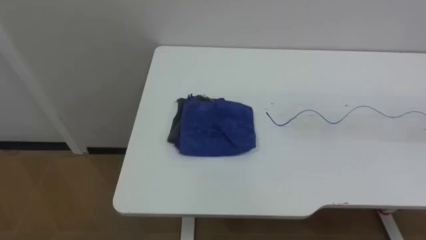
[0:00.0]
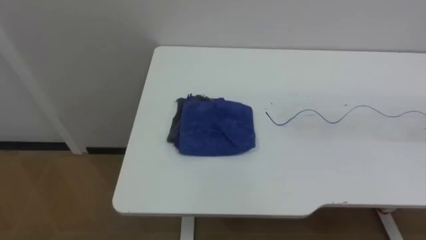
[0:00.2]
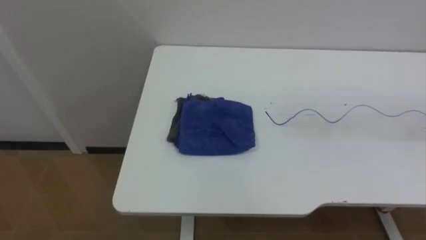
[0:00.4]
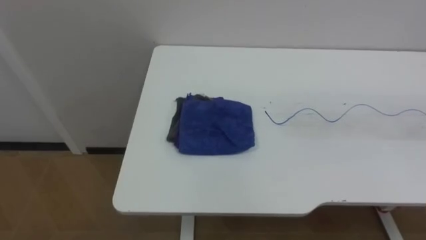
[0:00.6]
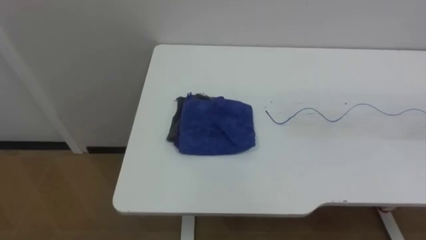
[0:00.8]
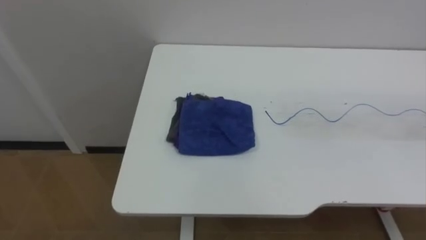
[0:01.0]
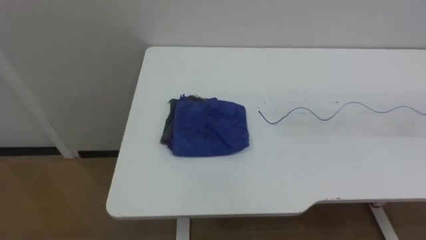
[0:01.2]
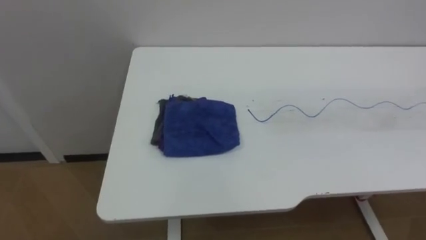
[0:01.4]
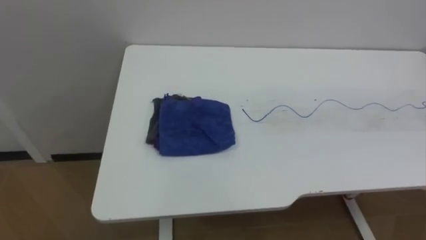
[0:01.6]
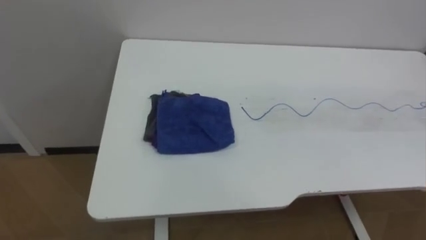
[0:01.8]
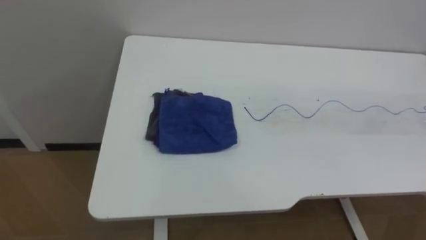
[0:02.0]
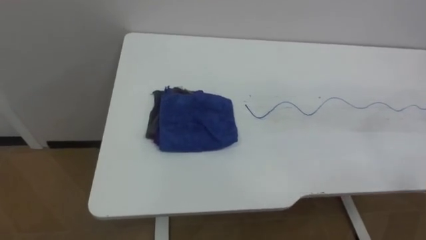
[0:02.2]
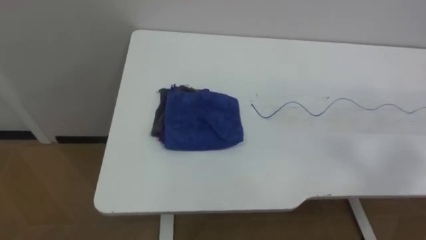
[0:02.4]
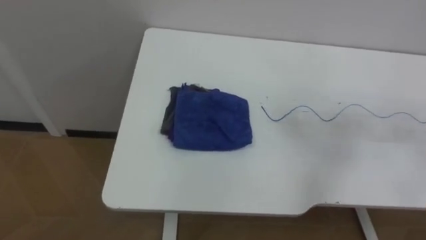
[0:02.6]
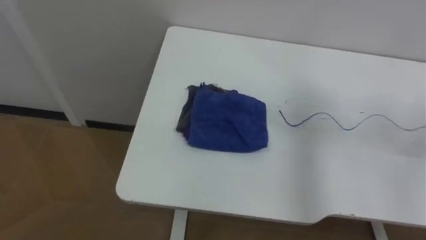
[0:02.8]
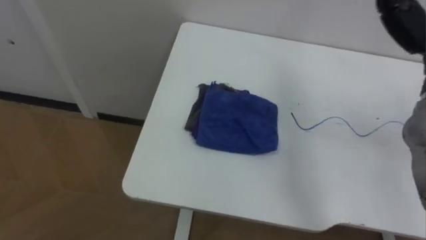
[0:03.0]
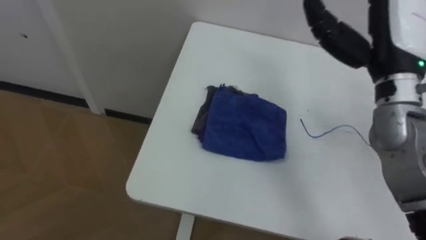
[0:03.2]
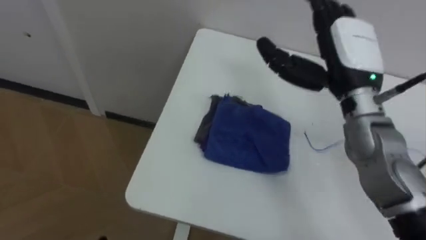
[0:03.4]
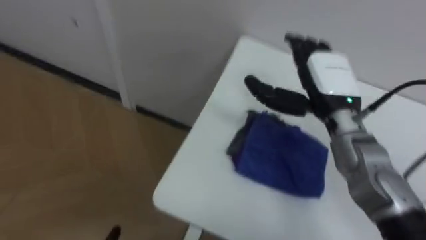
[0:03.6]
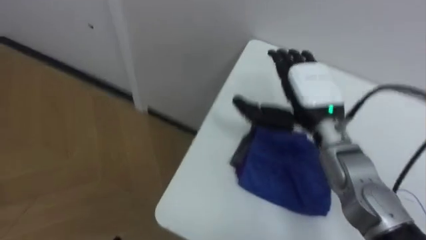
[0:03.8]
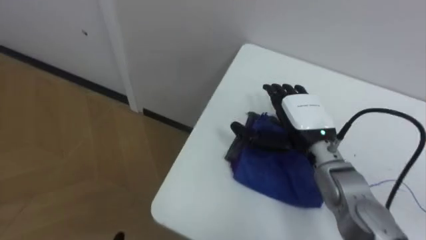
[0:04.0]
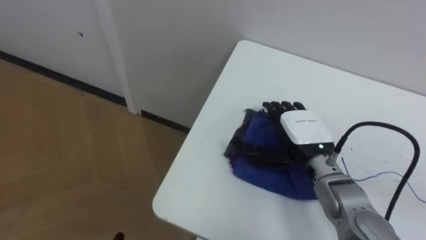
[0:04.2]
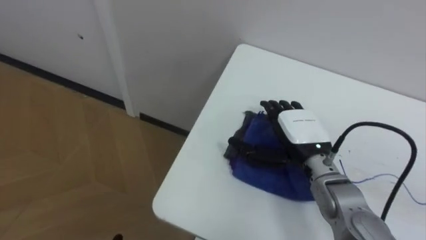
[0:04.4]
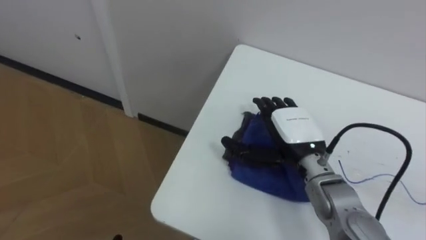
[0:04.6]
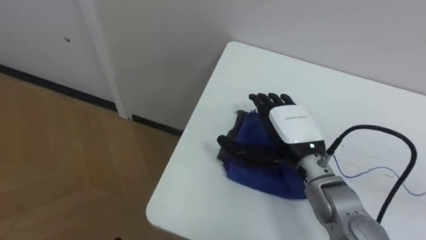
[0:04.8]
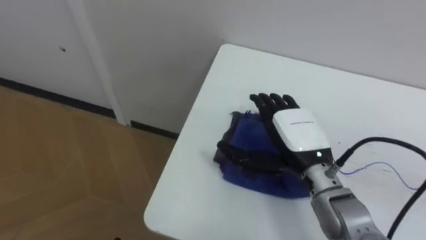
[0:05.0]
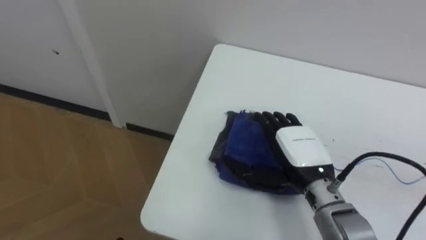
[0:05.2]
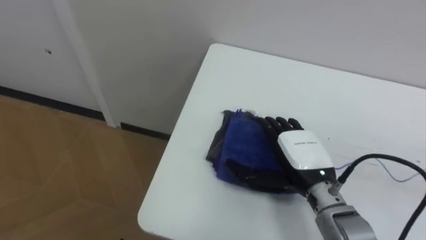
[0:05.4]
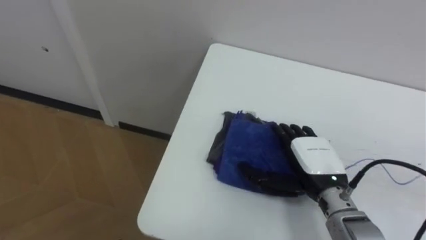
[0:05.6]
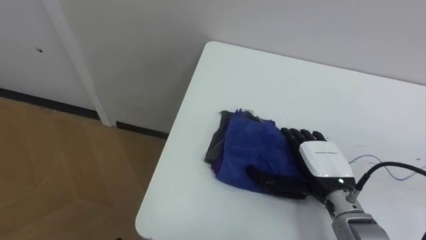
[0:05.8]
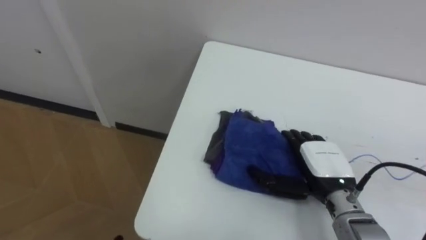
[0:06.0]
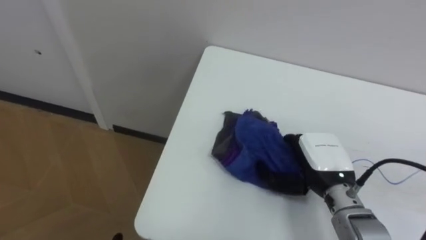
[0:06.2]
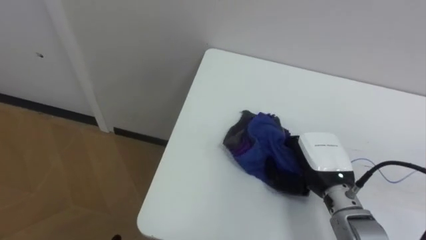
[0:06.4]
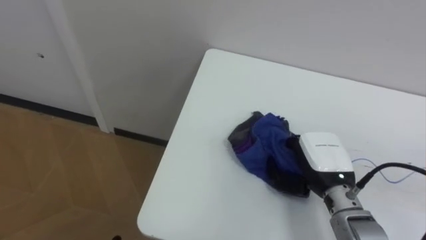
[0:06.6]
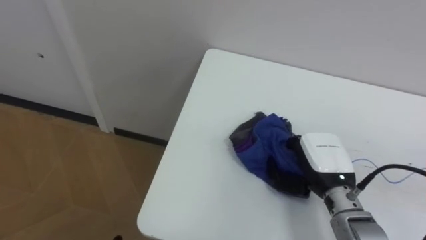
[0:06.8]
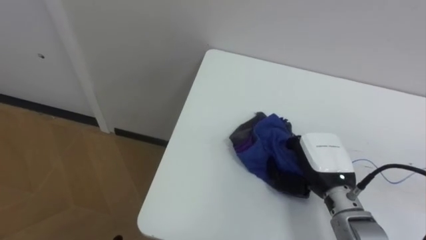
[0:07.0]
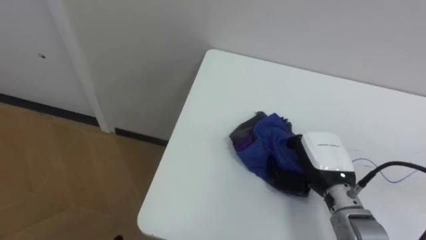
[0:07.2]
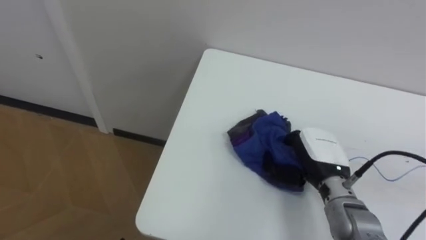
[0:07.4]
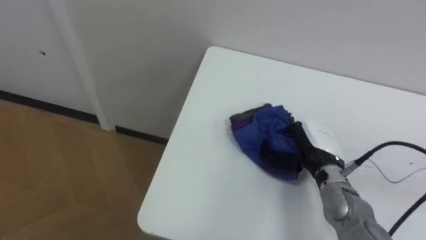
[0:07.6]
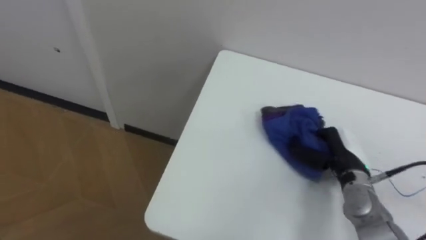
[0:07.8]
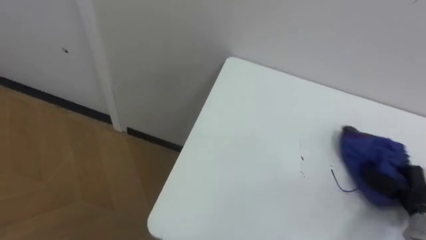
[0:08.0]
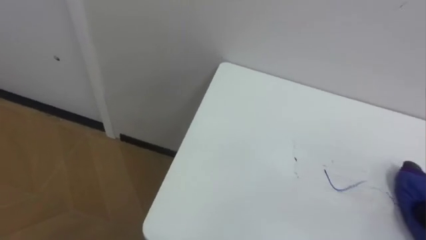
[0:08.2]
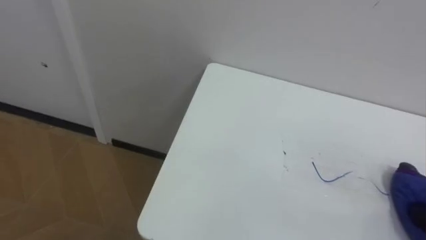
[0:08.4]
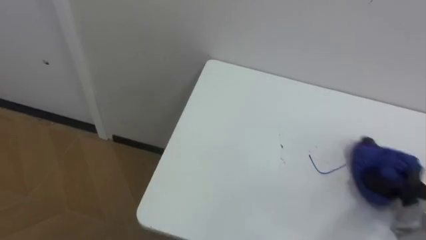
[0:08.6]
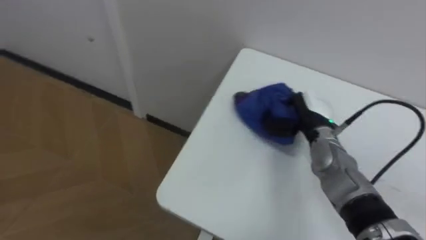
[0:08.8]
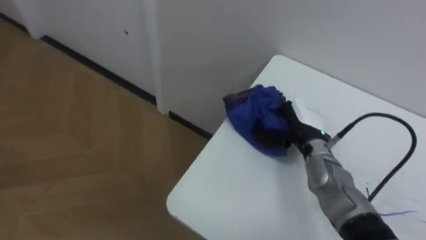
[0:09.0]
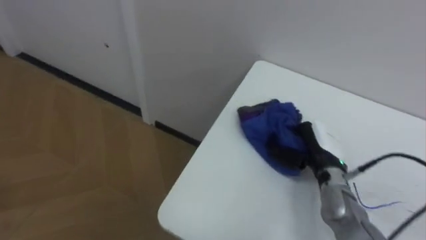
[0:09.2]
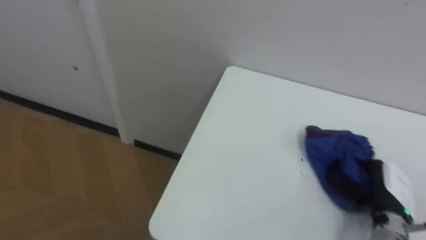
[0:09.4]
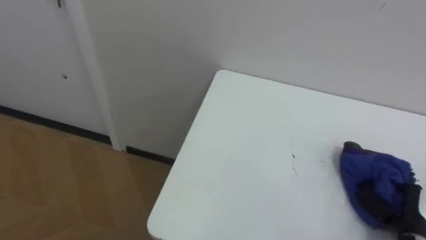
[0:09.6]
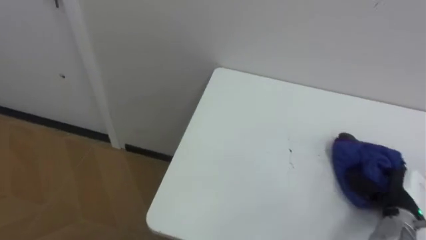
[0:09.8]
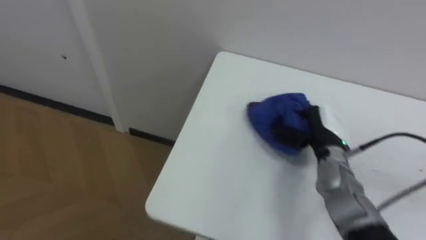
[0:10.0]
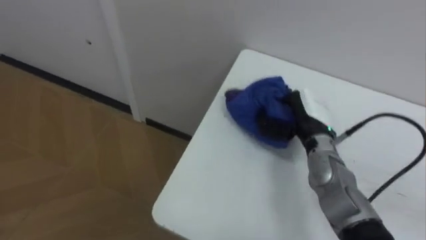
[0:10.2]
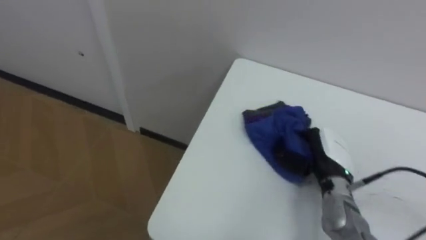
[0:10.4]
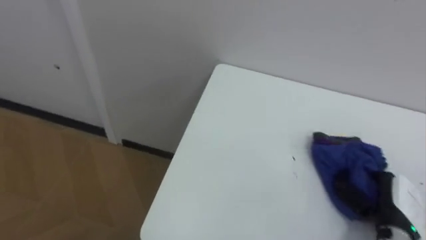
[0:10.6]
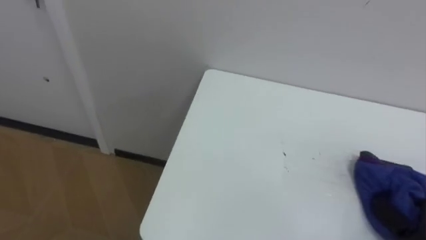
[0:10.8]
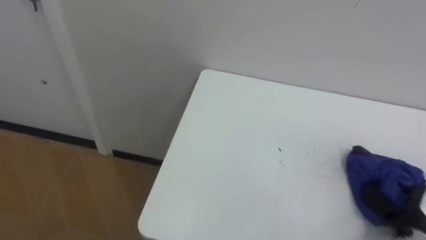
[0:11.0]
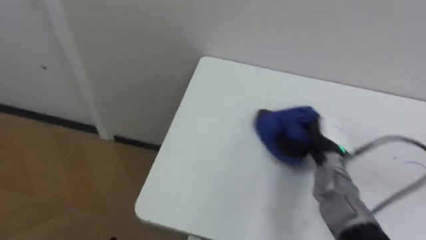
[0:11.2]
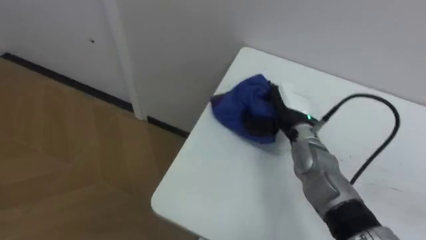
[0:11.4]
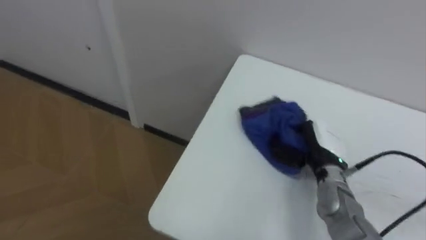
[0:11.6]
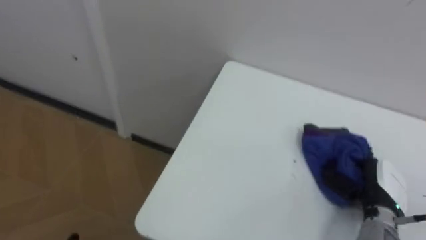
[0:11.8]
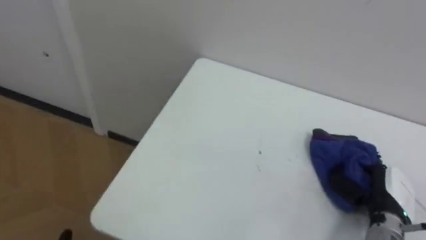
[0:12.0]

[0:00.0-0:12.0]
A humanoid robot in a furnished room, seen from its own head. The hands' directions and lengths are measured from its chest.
Task of the whole recording: Wipe the blue pen marks off the table with the rag.
0:04.4 to 0:06.0: The right hand moves backward, about 5 cm.
0:06.0 to 0:07.6: The right hand closes its fingers.
0:09.0 to 0:10.4: The right hand heads backward, covering about 5 cm, and moves about 20 cm to the right and comes back.
0:10.4 to 0:12.0: The right hand goes left and right, roughly 25 cm each way, reversing 2 times.

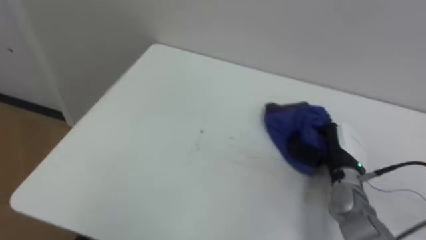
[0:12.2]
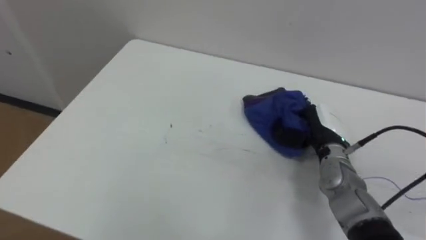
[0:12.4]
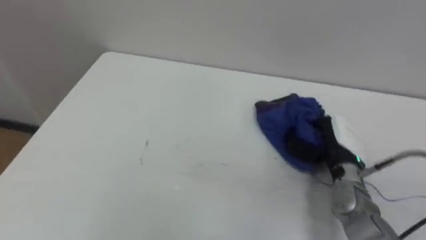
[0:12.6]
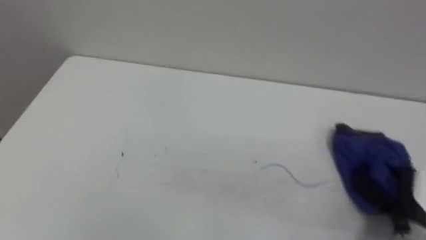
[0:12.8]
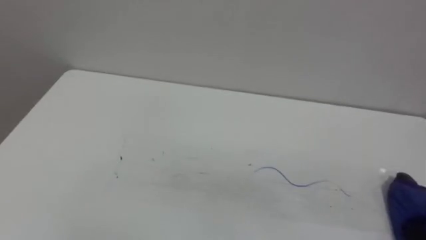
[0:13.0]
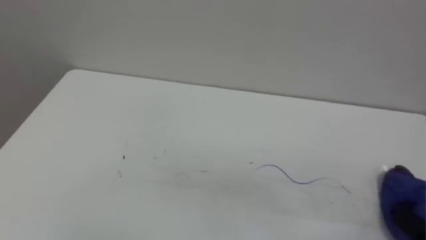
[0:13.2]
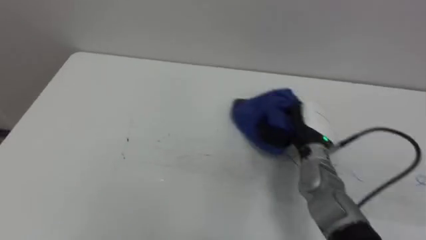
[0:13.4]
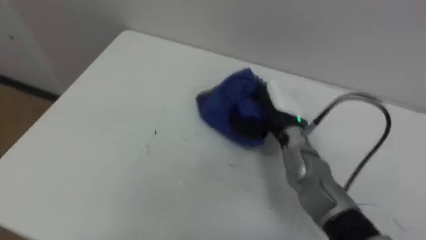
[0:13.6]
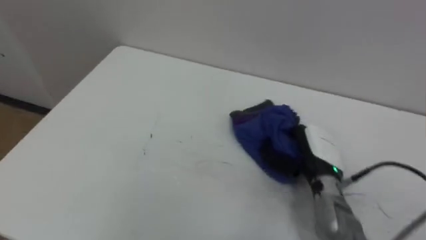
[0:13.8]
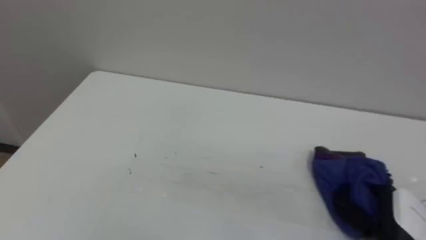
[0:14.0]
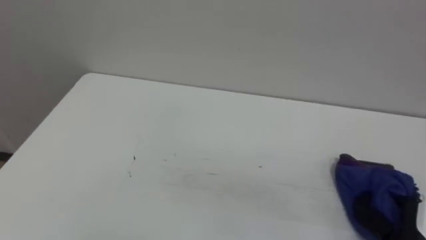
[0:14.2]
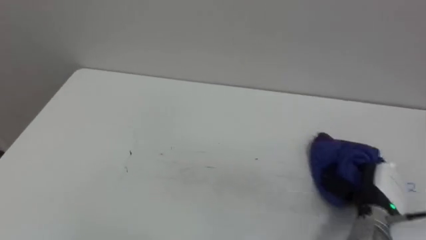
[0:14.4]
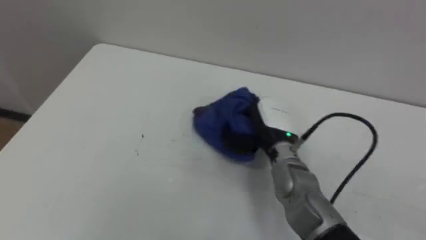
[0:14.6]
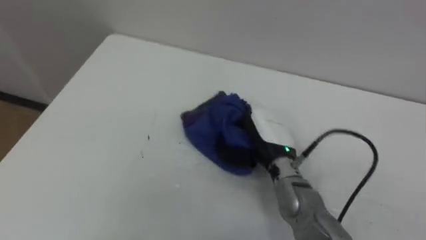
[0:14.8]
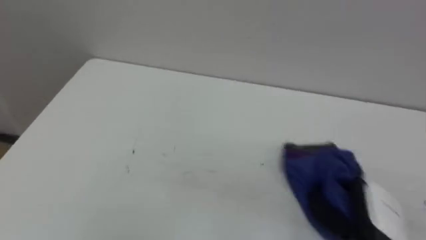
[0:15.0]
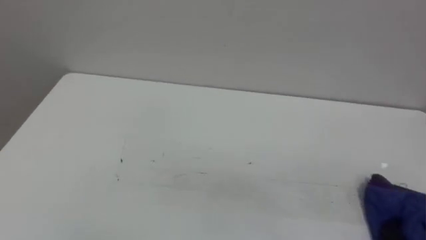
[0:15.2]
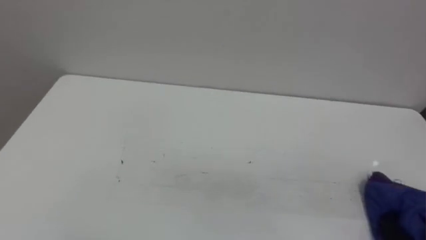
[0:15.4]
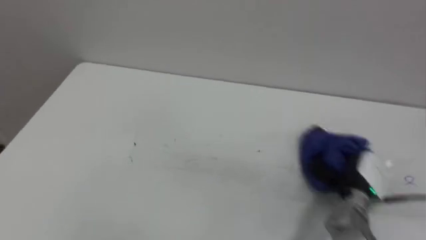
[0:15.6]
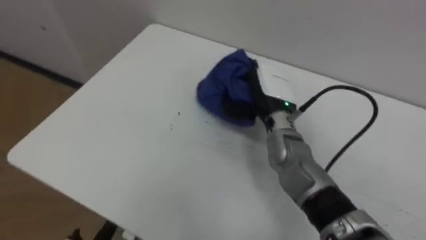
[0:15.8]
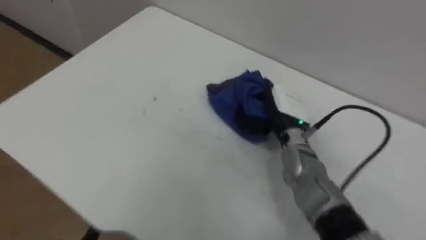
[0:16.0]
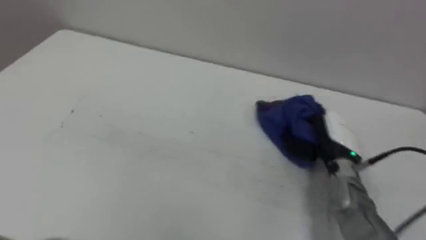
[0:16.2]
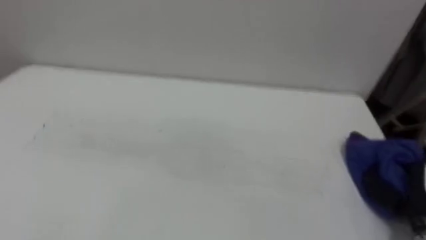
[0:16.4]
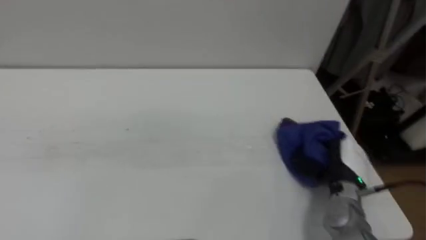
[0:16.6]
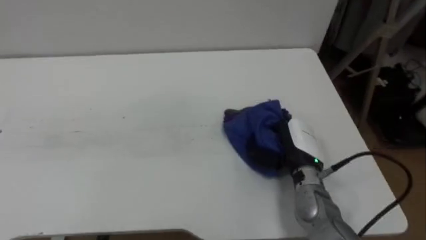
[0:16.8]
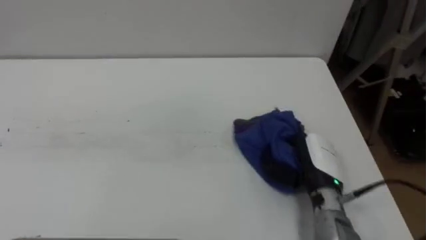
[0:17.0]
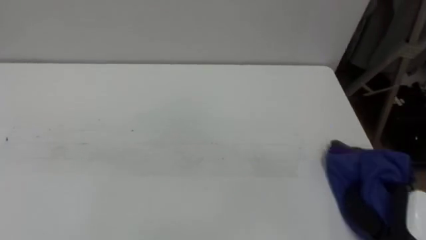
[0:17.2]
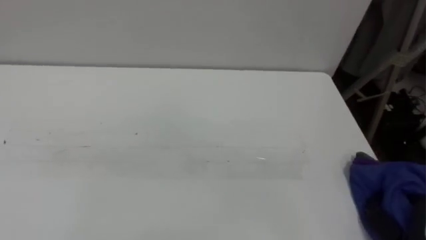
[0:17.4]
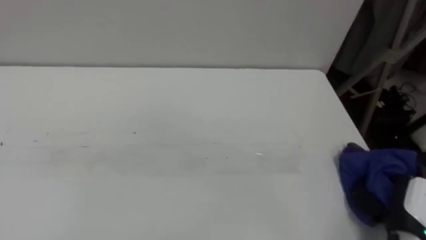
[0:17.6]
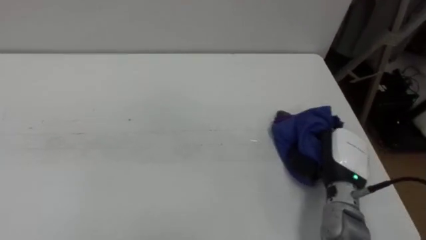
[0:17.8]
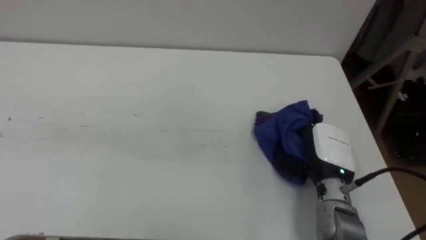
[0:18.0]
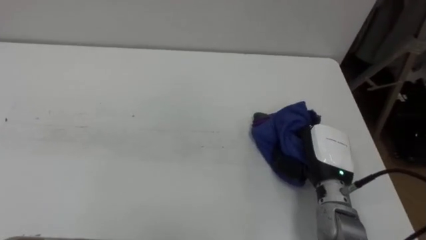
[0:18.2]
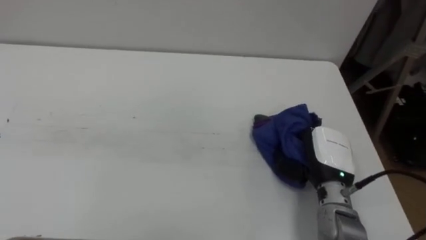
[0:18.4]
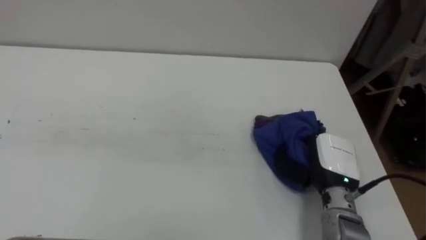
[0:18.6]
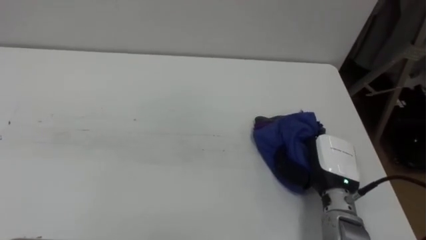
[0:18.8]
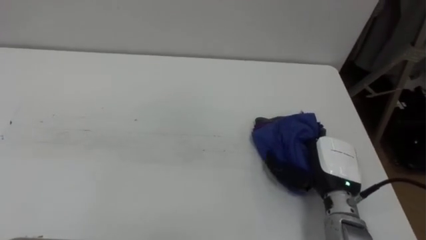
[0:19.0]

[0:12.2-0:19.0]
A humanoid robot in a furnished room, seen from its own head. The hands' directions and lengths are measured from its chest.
Task of the whole recording: Wipe the blue pen marks off the table with the rag.
0:13.6 to 0:15.0: The right hand swings left and right, some 25 cm each way, with 2 reversals.
0:16.2 to 0:17.6: The right hand swings left and right, roughly 20 cm each way, with 2 reversals.
0:17.6 to 0:19.0: The right hand goes approximately 15 cm to the left and forward, and opens up.
